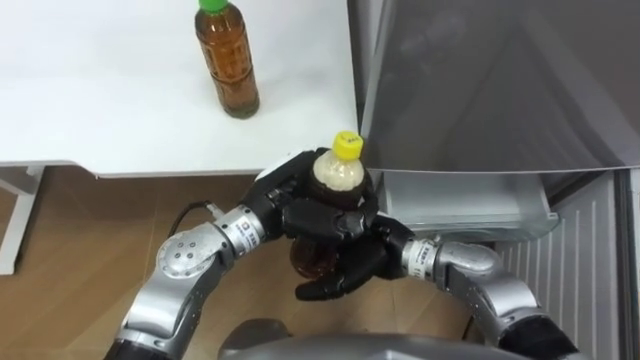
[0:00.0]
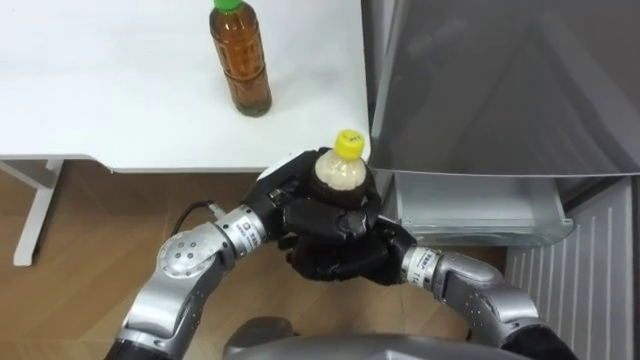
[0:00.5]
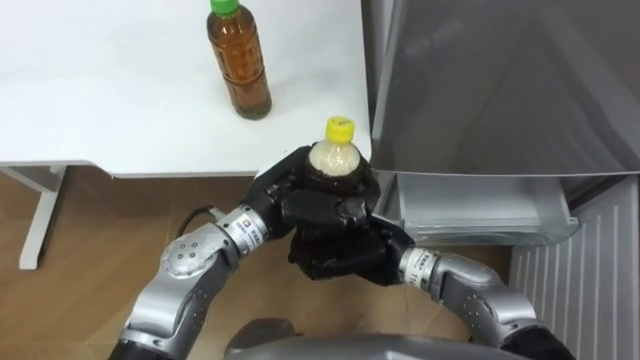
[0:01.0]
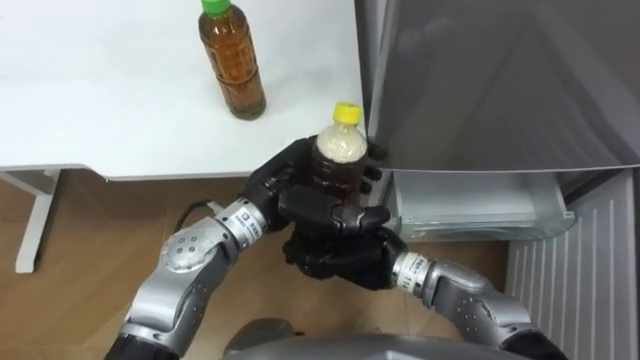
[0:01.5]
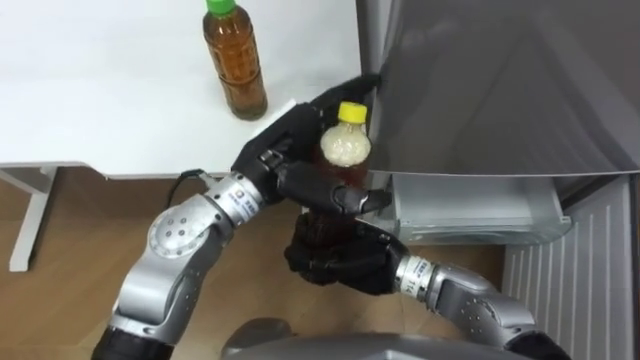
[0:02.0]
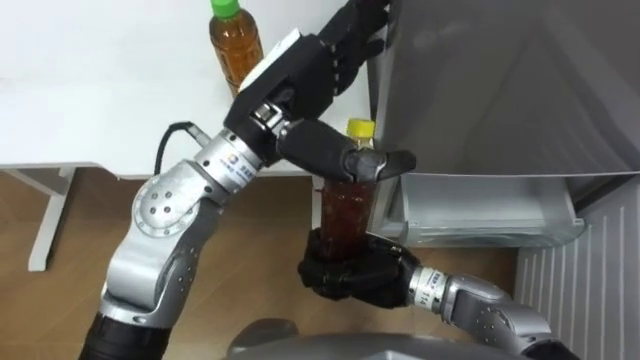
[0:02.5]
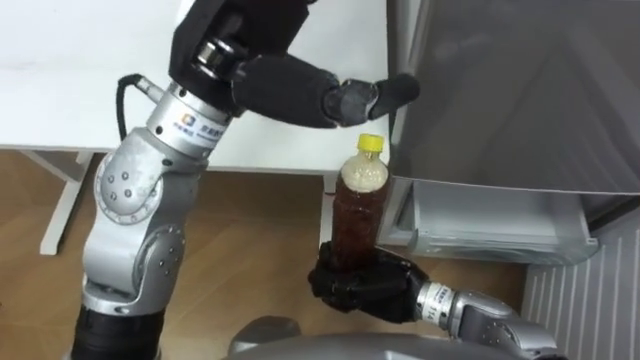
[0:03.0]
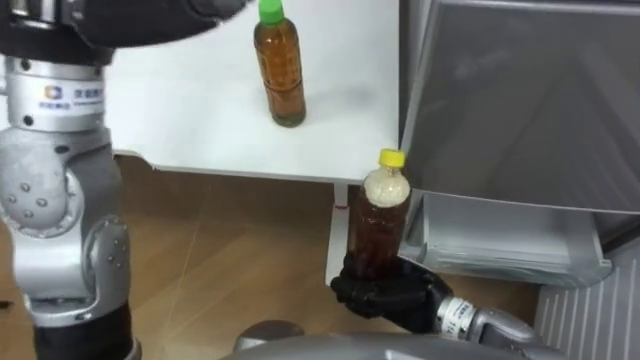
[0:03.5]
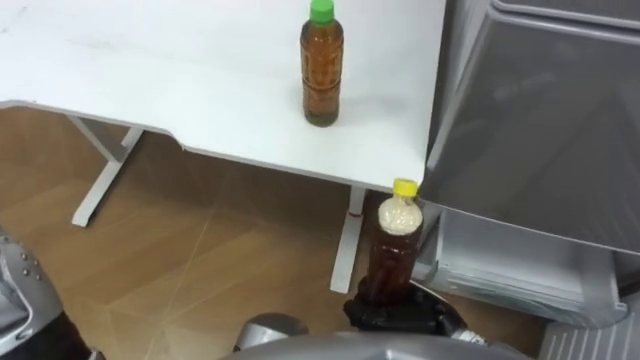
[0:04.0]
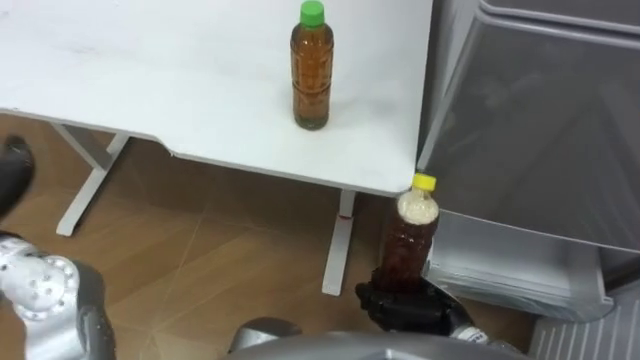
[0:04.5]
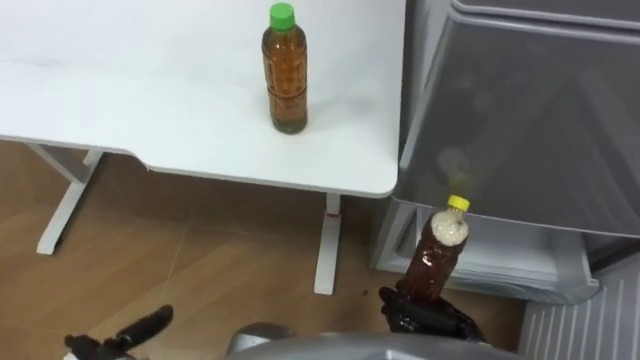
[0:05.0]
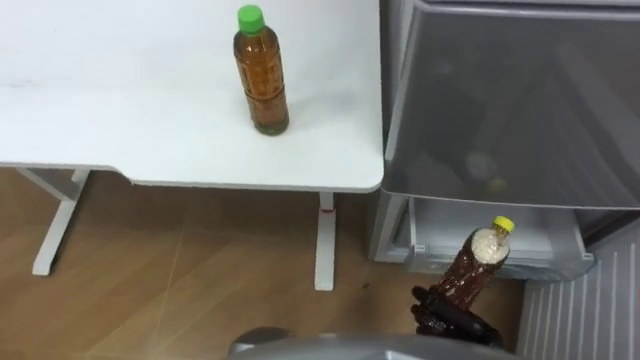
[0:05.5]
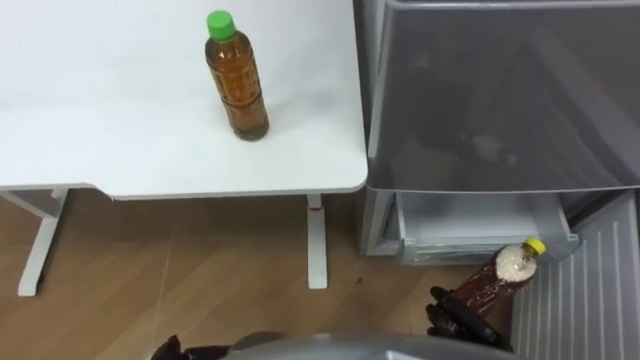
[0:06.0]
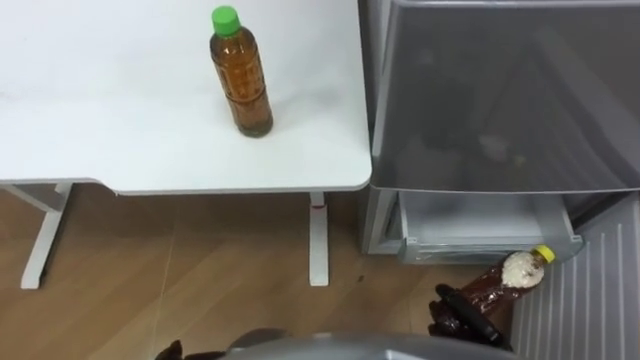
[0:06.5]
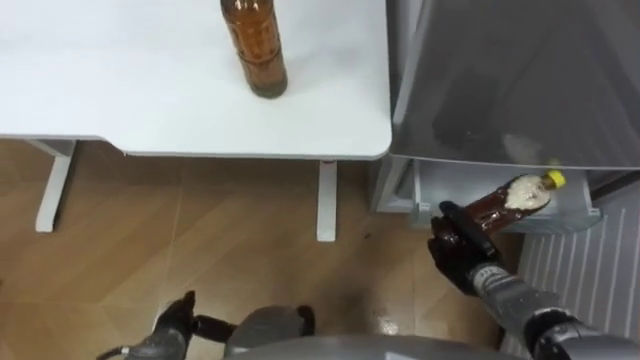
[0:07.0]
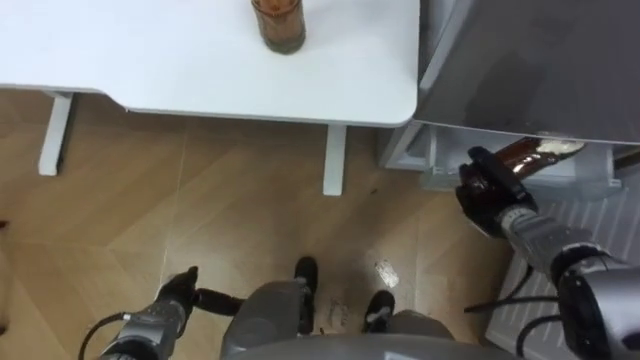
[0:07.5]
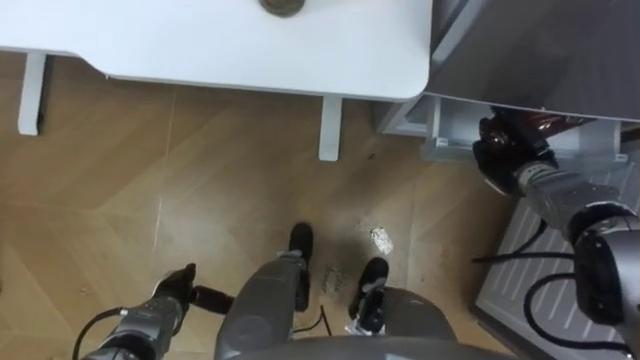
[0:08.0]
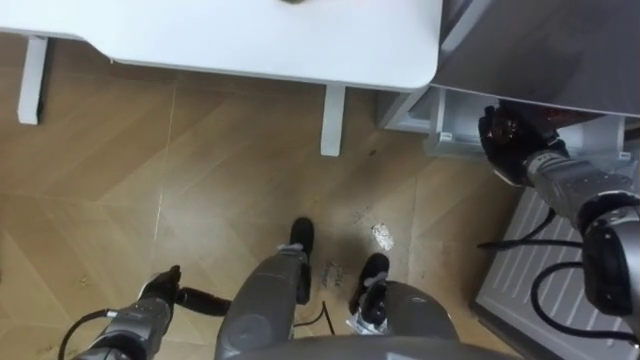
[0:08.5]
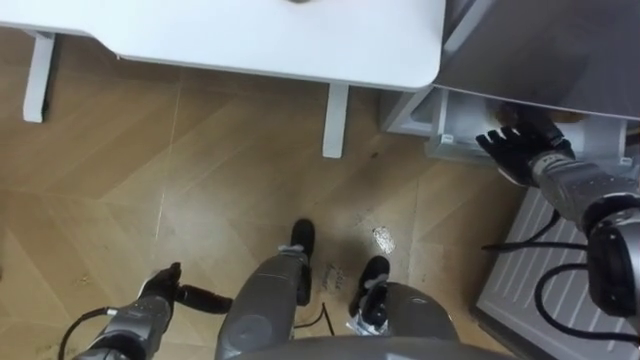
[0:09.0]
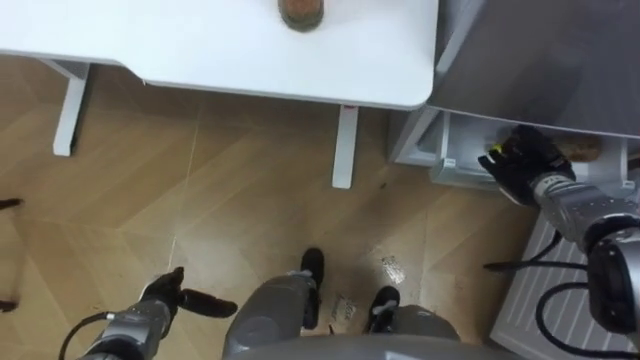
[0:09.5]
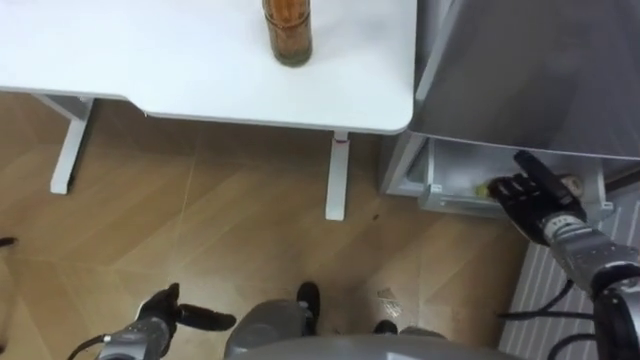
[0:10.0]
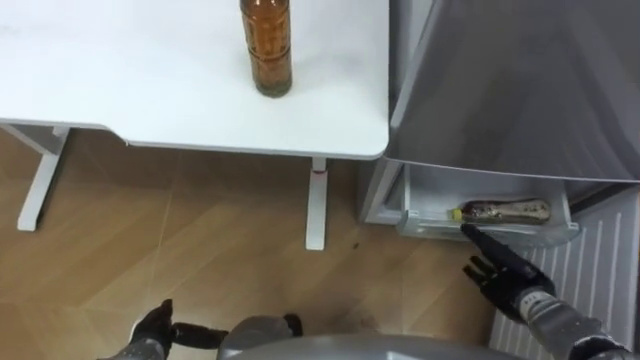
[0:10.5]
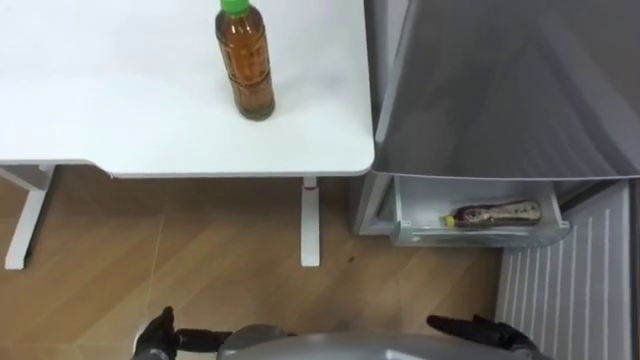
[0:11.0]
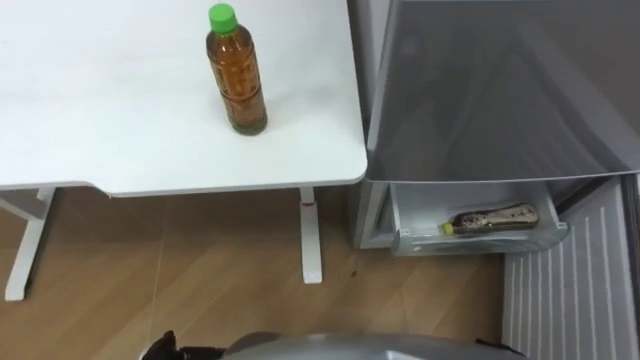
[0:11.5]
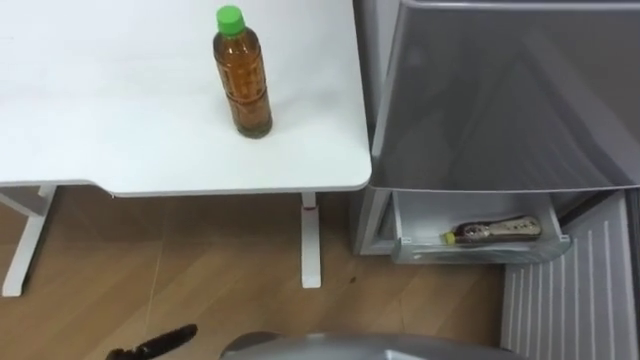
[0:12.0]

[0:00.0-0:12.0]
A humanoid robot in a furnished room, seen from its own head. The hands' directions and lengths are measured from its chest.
Task of the whole recording: Place the drink on the table on the bottom shelf of the refrigerator, then close the drawer and the refrigerator door.
0:00.0 to 0:02.0: The right hand closes, while the left hand goes some 5 cm upward, and opens.
0:02.0 to 0:04.0: The right hand travels to the right, backward and downward by roughly 15 cm.
0:04.0 to 0:06.0: The right hand is displaced to the right and downward by roughly 10 cm.
0:06.0 to 0:08.0: The right hand travels forward and upward by roughly 30 cm.
0:08.0 to 0:10.0: The right hand travels backward by about 5 cm, and opens up.

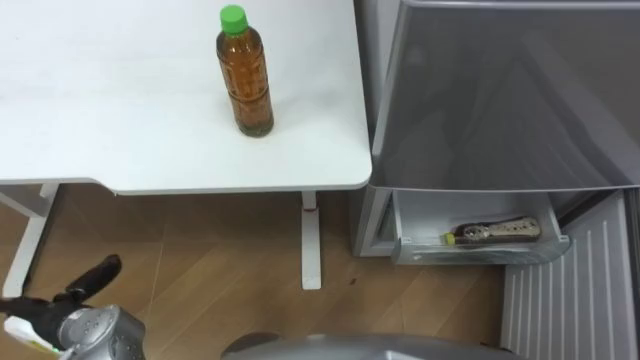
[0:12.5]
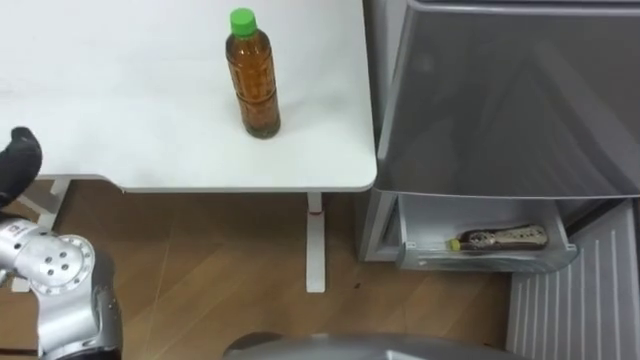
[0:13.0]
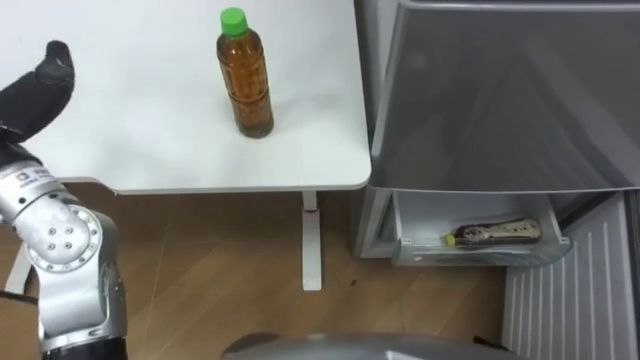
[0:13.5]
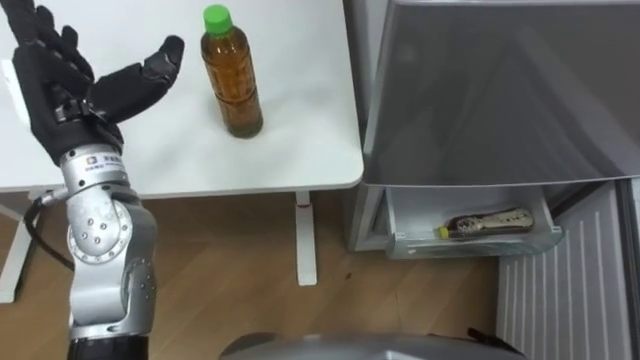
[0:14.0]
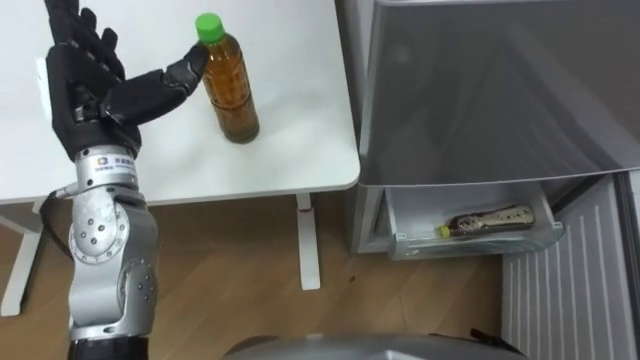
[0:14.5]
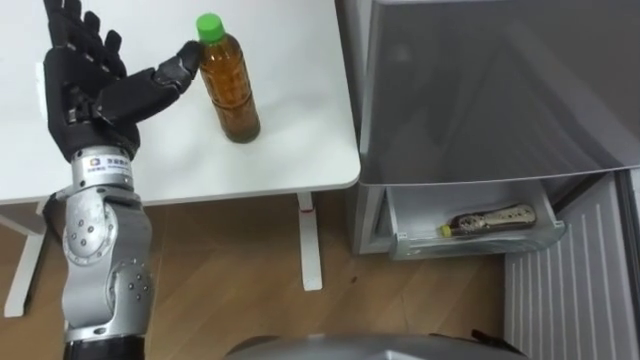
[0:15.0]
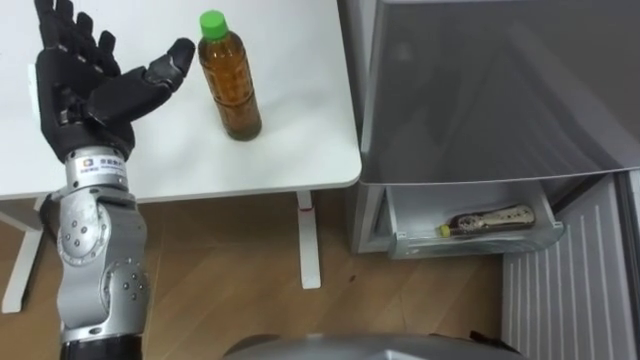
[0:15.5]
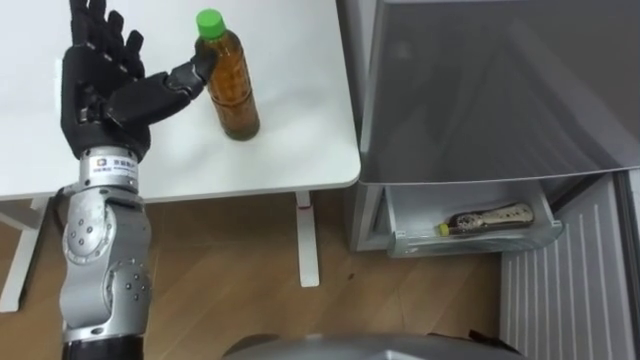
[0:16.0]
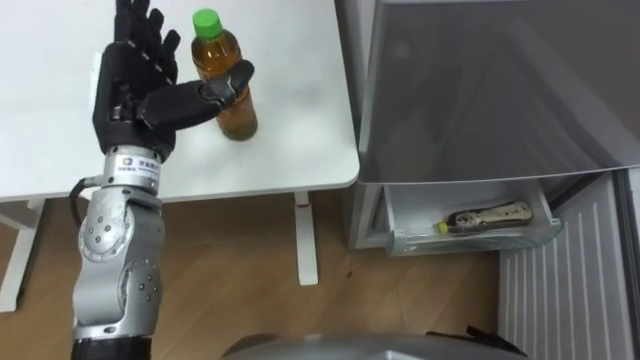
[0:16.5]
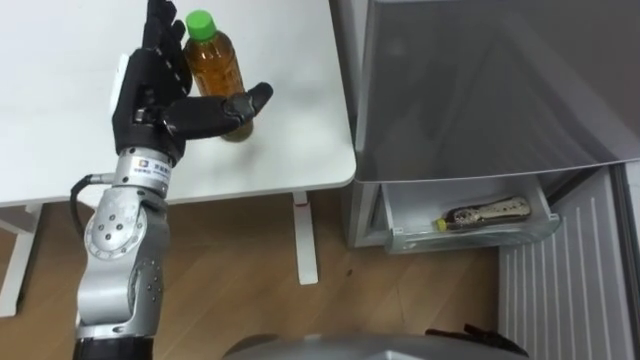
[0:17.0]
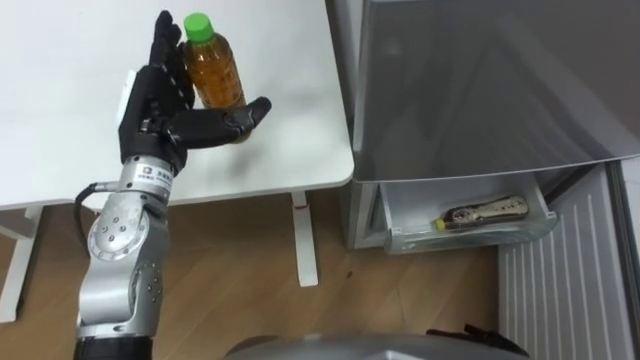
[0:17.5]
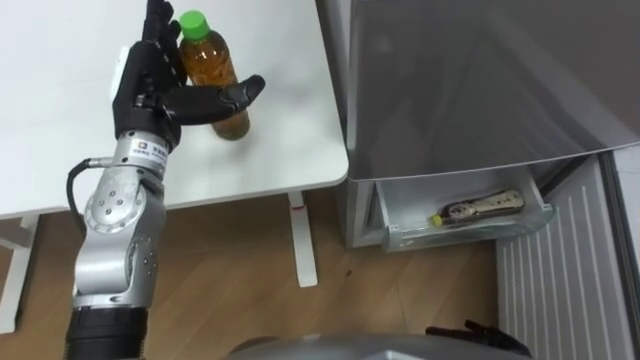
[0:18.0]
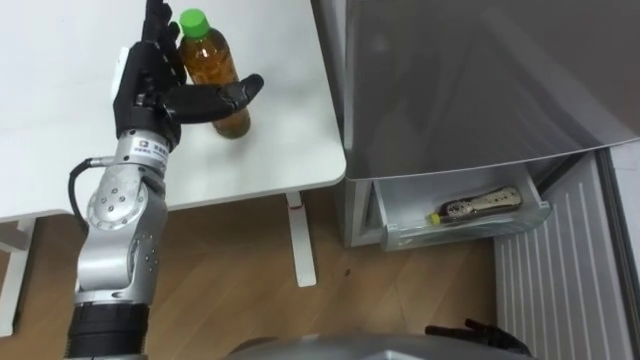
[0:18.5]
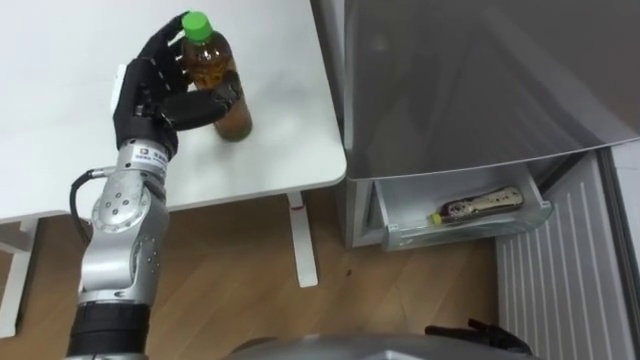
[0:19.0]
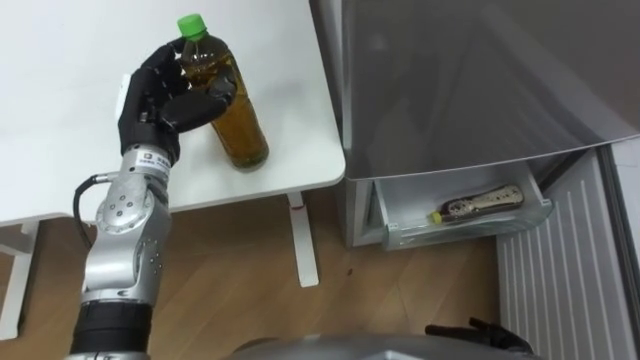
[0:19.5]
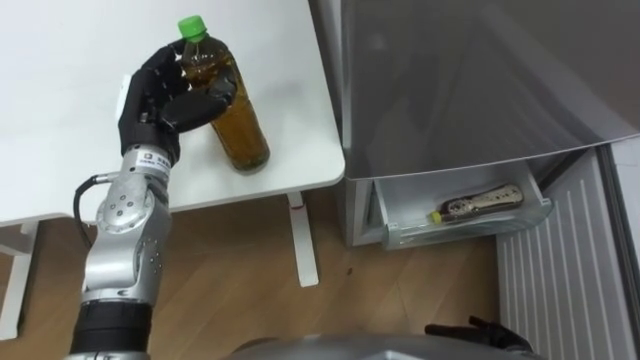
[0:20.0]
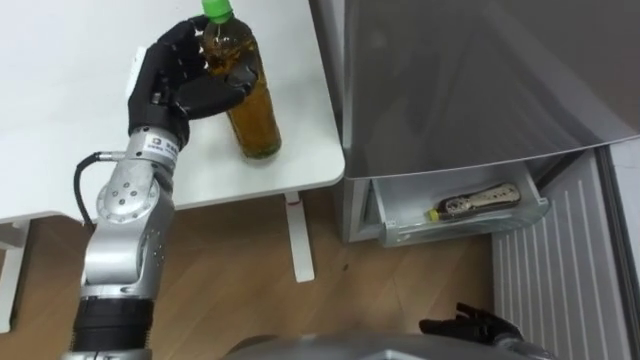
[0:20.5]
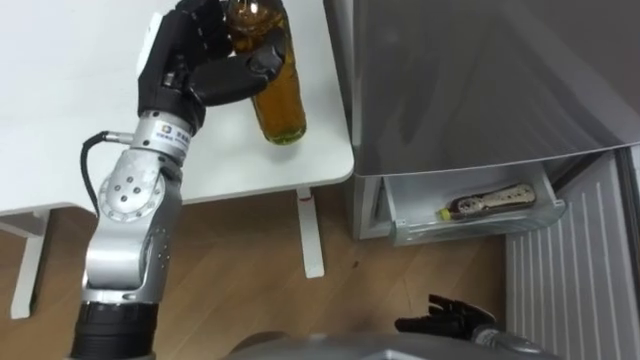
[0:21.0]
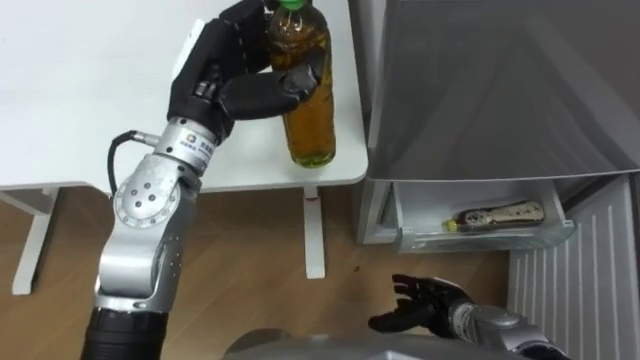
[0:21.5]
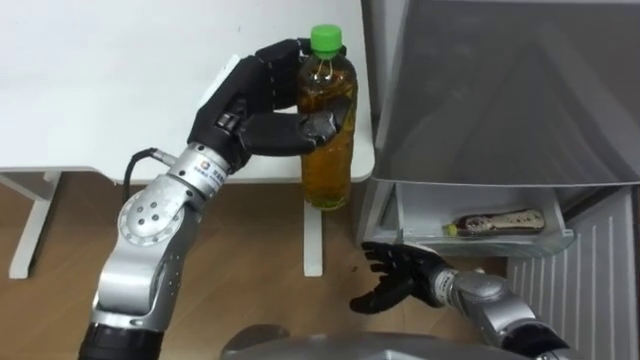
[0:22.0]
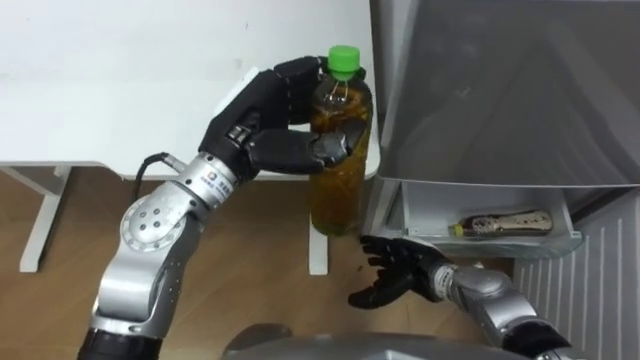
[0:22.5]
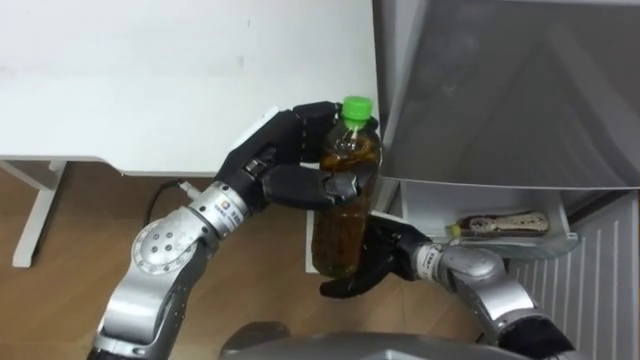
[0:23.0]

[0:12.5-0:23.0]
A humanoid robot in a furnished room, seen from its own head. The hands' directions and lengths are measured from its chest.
Task of the whole recording: Place the drink on the table on the bottom shelf of the refrigerator, then close the drawer and the refrigerator door.
0:16.5 to 0:19.0: The left hand ends up about 5 cm from where it was, and closes up.
0:19.0 to 0:21.0: The left hand moves upward, approximately 5 cm; the right hand changes place by some 5 cm.
0:21.0 to 0:23.0: The left hand heads to the right, backward and downward, covering approximately 10 cm; the right hand shifts some 20 cm to the left, forward and upward.
